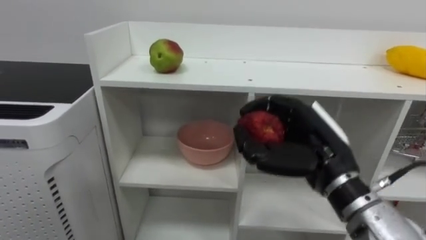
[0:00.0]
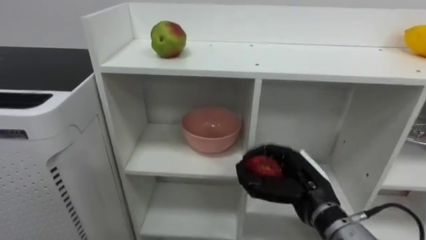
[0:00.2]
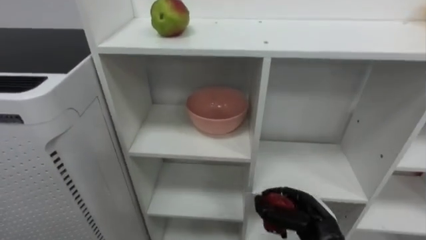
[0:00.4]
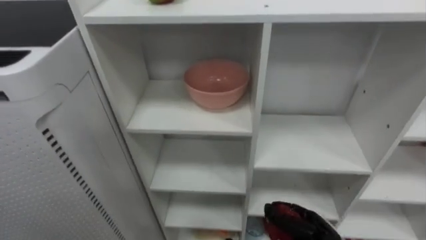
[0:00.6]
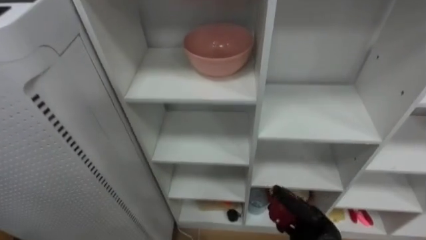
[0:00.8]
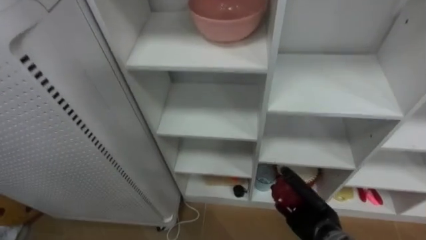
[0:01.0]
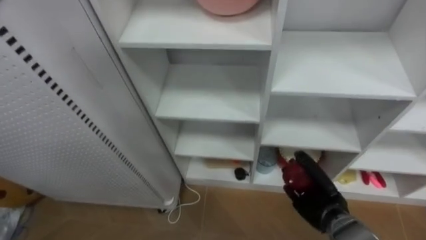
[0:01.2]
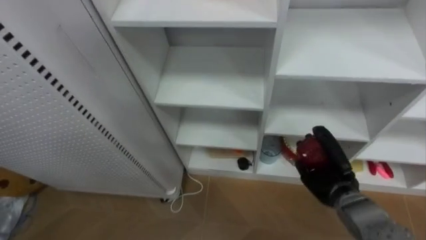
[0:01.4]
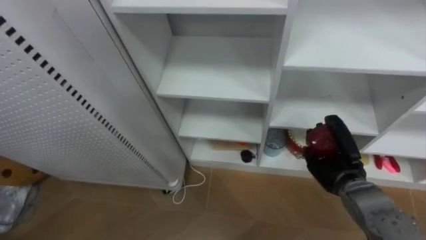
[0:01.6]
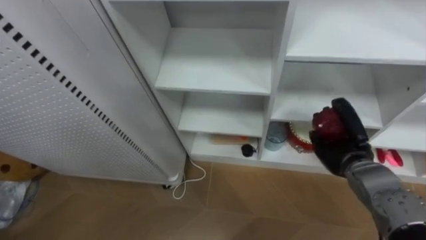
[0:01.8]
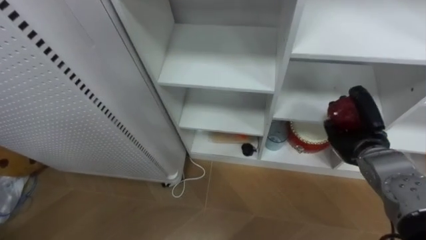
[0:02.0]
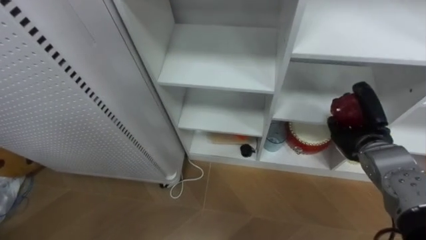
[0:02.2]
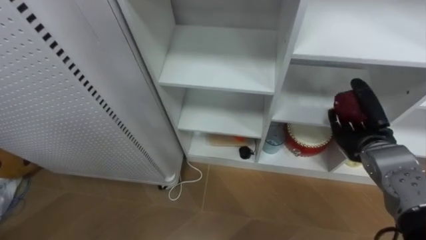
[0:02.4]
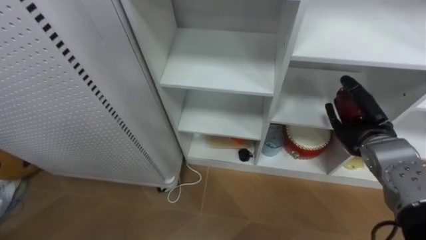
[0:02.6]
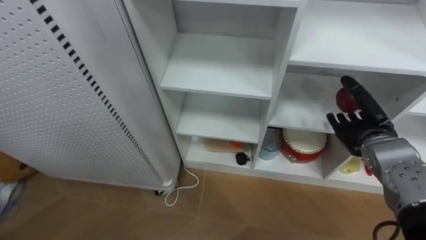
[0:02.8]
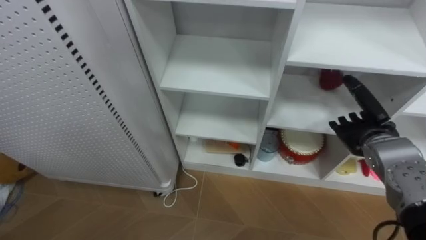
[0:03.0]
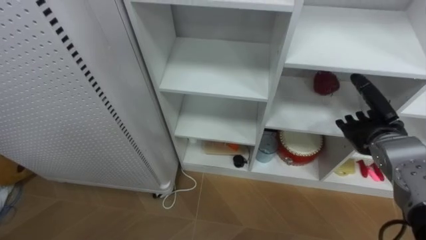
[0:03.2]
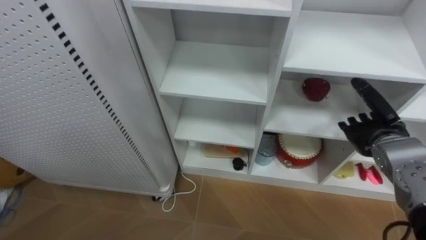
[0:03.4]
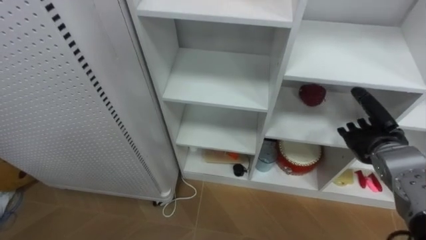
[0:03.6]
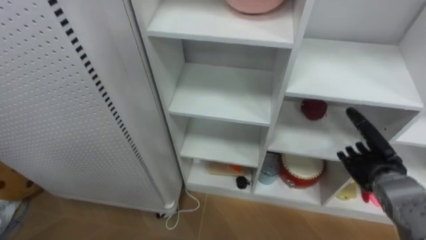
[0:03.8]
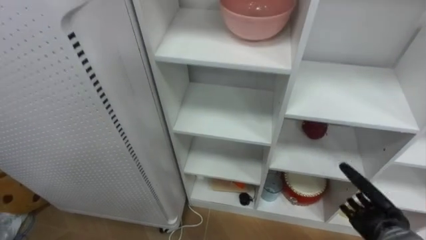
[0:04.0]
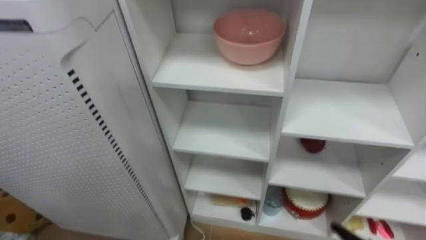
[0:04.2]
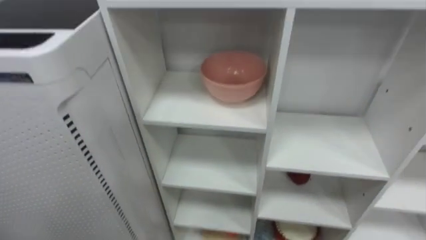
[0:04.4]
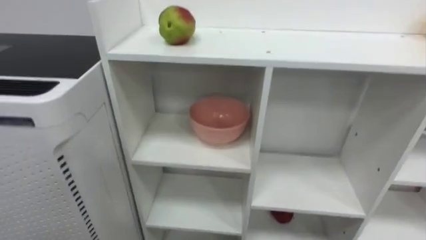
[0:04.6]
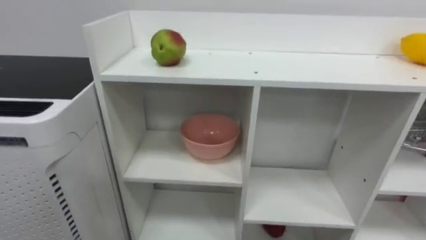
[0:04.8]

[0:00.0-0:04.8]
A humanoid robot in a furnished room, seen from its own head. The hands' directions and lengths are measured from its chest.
Task of the whole recording: Put the apple in the cell in the second column from the left and the second row from the top.
0:00.0 to 0:01.6: The right hand shifts some 20 cm downward, forward and to the right.
0:01.6 to 0:03.2: The right hand heads upward and to the right, covering about 10 cm, and opens up.

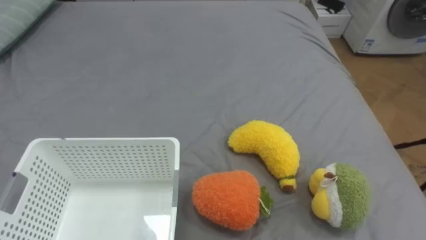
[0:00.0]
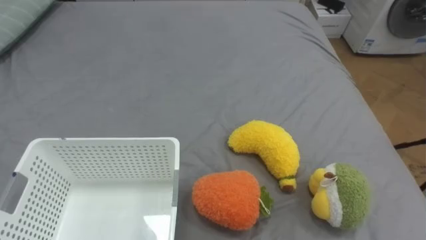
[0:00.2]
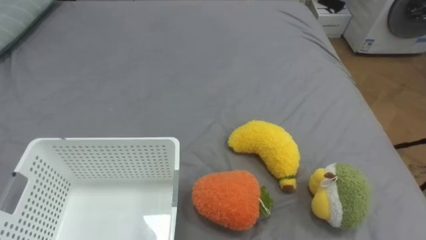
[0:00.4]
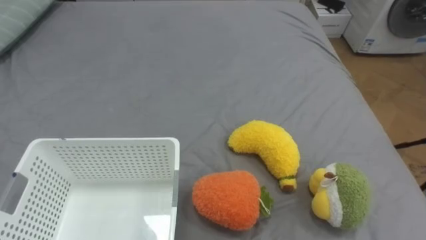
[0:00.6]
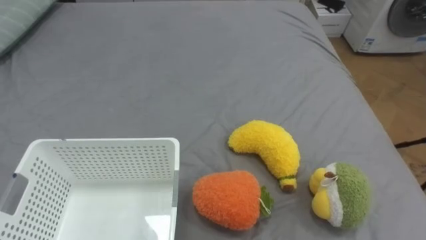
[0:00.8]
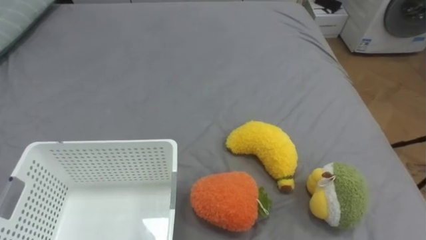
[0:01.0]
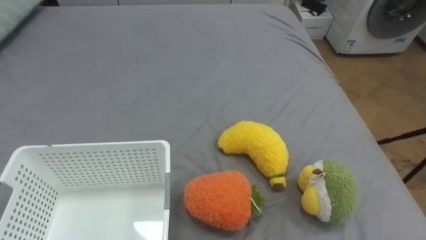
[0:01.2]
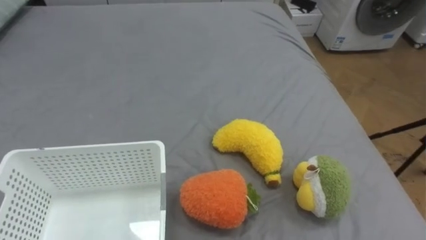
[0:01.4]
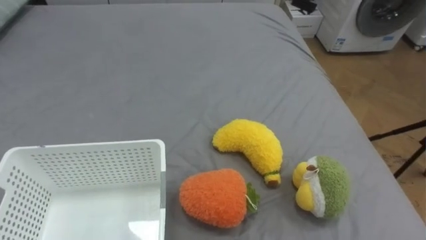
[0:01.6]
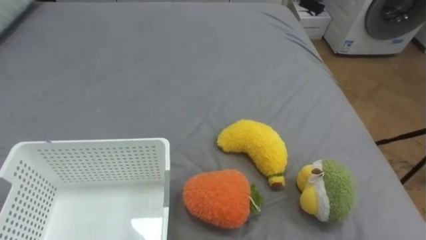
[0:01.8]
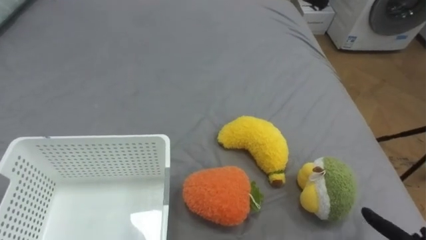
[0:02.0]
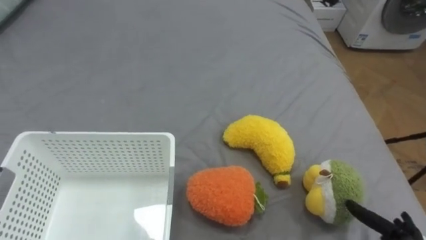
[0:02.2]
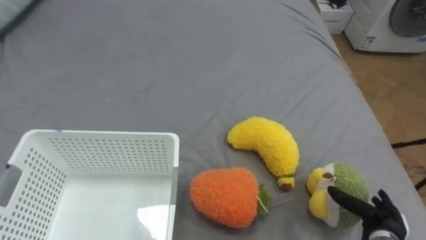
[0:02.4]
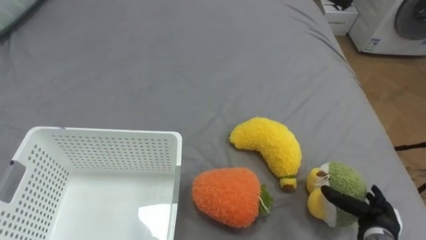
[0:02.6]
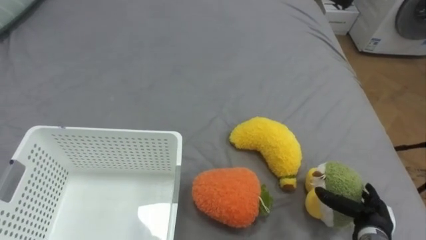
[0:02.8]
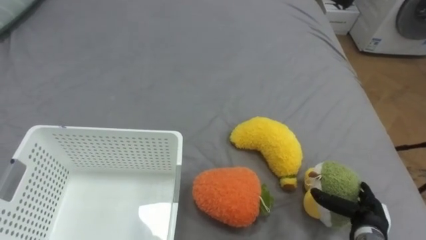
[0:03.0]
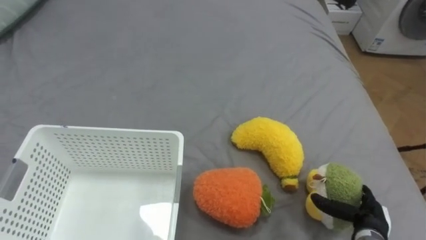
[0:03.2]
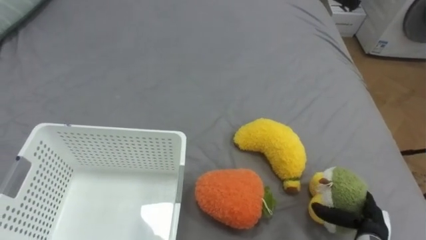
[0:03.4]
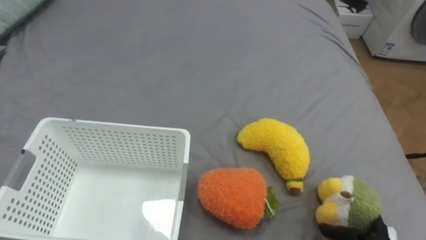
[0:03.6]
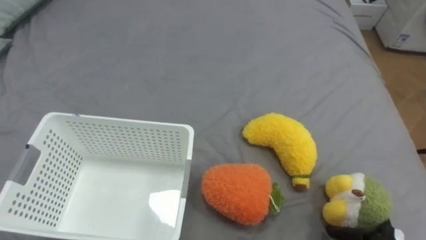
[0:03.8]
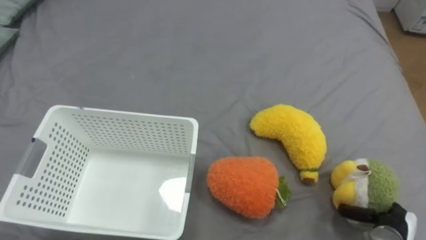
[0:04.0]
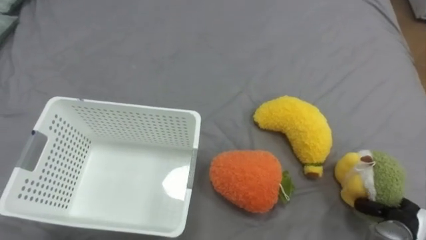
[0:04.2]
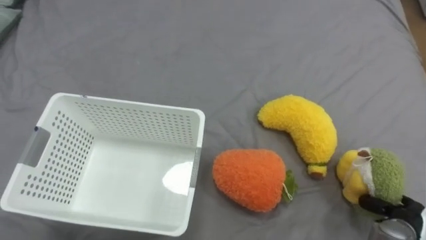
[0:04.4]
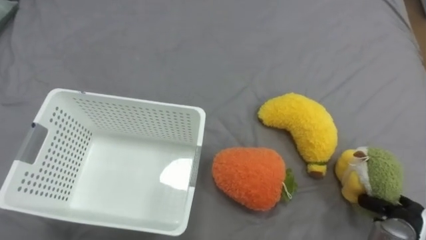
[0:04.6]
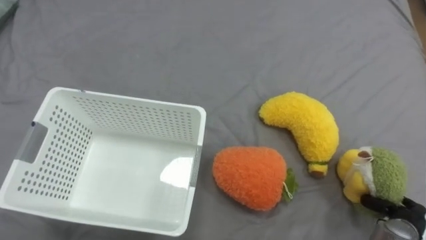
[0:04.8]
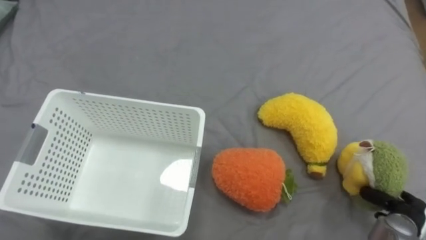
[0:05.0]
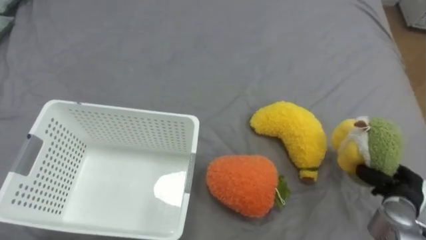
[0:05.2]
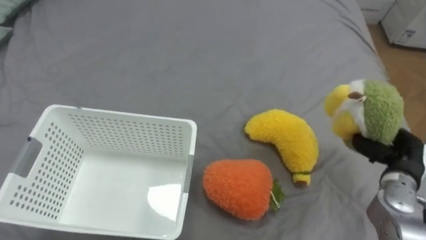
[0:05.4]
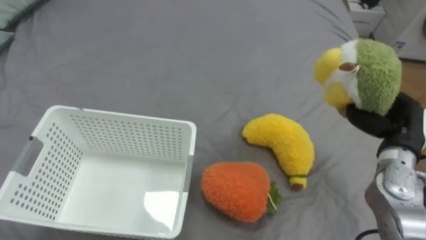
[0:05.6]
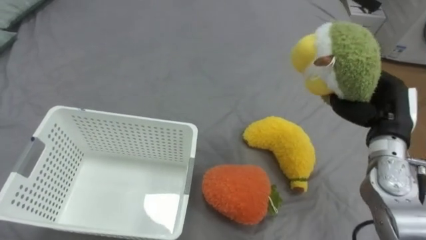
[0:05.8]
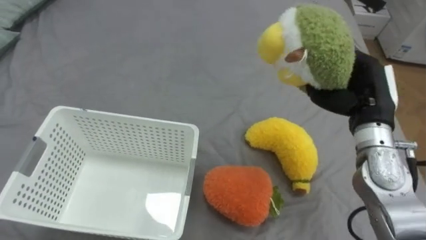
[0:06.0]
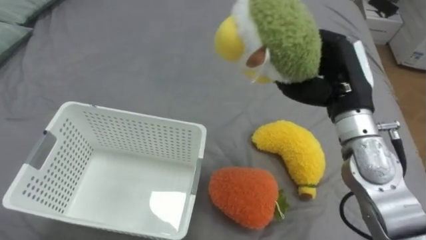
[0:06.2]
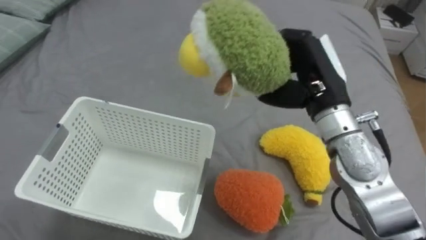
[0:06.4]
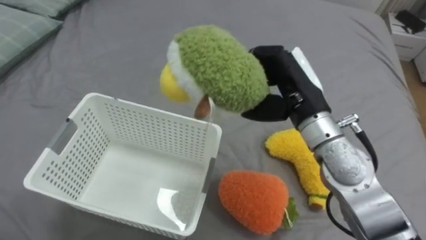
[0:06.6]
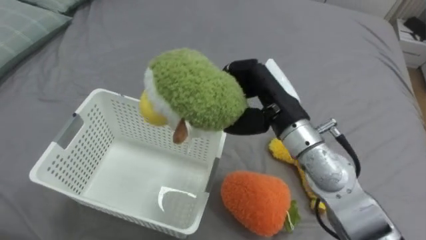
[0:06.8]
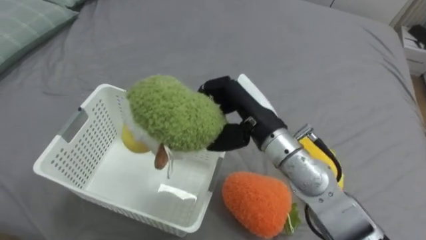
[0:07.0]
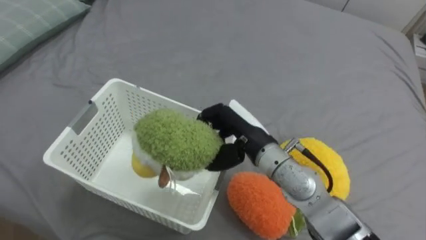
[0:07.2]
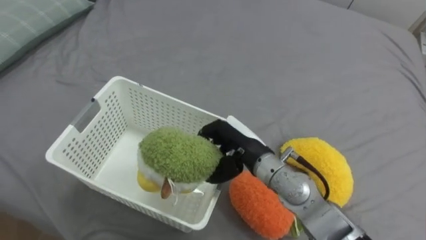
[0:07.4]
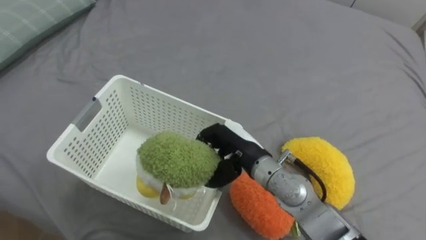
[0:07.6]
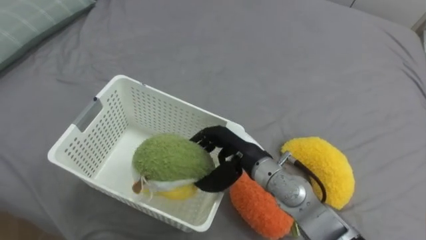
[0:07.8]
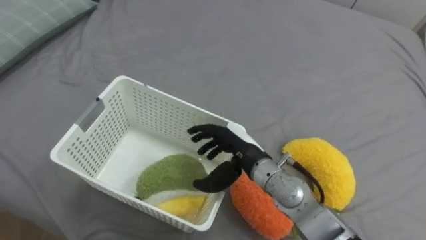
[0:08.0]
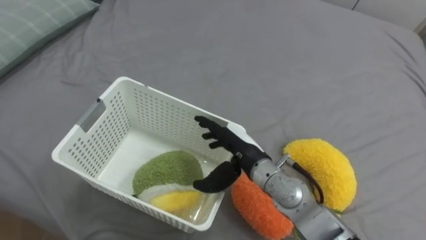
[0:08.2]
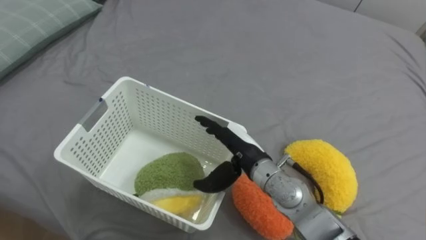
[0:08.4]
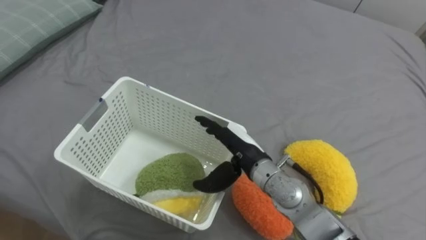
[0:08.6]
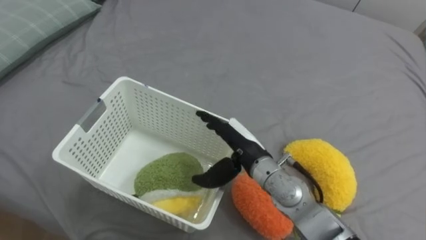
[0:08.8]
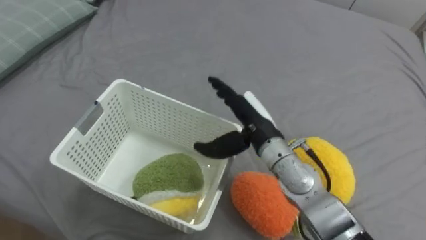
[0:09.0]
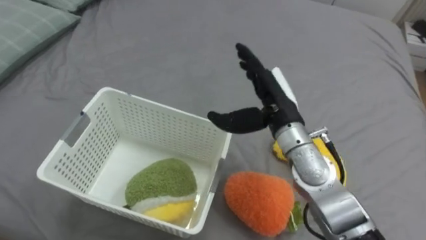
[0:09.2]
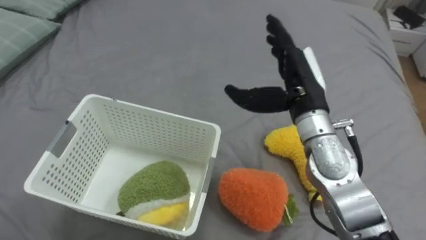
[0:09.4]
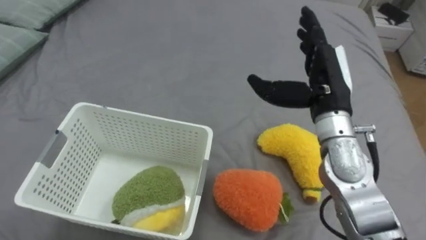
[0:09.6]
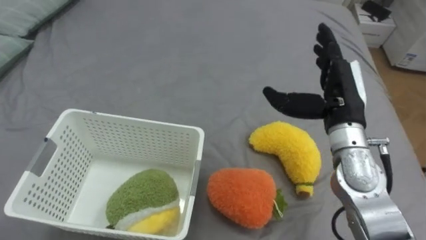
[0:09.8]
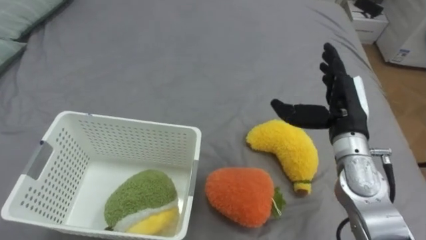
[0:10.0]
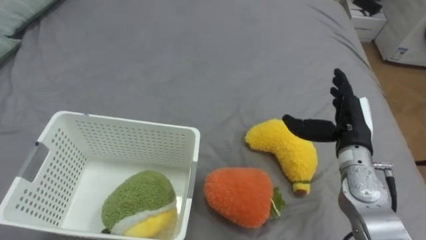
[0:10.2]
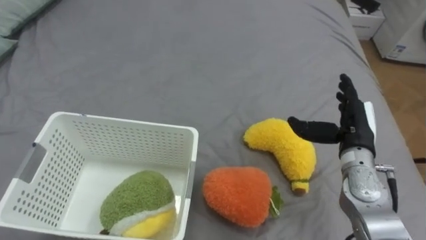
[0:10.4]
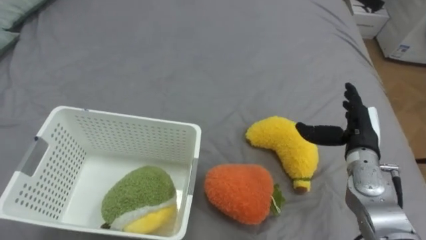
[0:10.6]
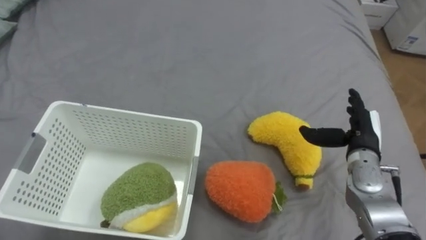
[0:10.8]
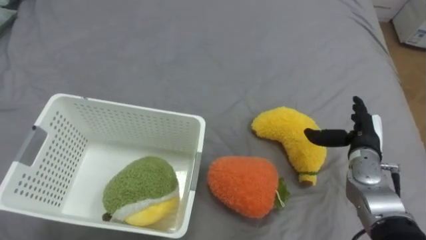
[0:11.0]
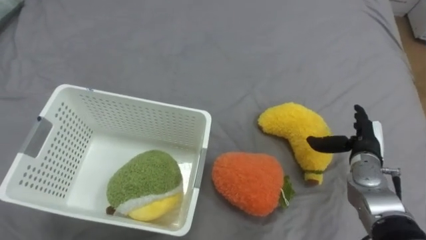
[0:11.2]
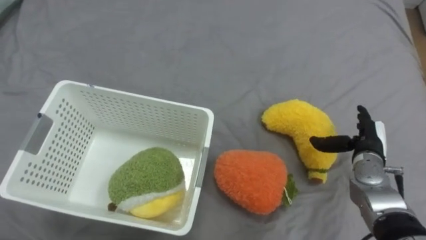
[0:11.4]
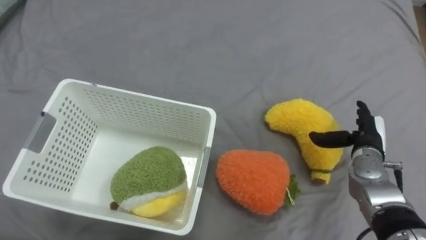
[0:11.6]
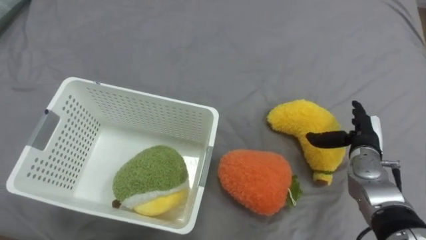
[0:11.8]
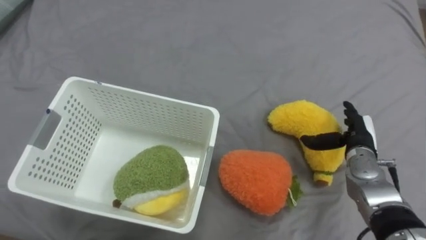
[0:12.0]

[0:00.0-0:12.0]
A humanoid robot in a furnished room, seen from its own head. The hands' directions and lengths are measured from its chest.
Task of the whole recording: Put the toys on the bed into the basket on the left.
0:04.4 to 0:06.0: The right hand is displaced upward, forward and to the left by approximately 30 cm.
0:06.0 to 0:07.6: The right hand moves to the left and downward, about 25 cm.
0:07.6 to 0:09.0: The right hand shifts by roughly 5 cm, and opens up.
0:09.0 to 0:10.4: The right hand shifts some 20 cm to the right.
0:10.4 to 0:12.0: The right hand heads downward, covering roughly 5 cm.
